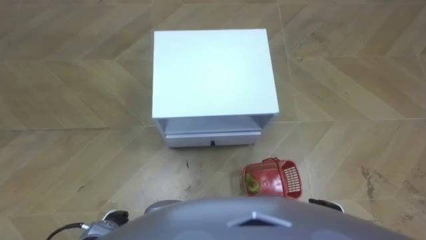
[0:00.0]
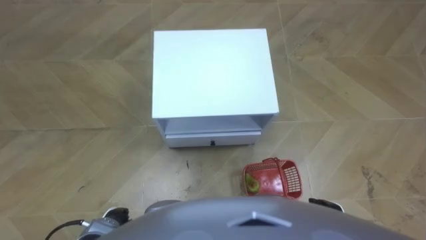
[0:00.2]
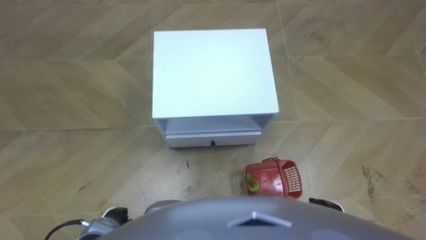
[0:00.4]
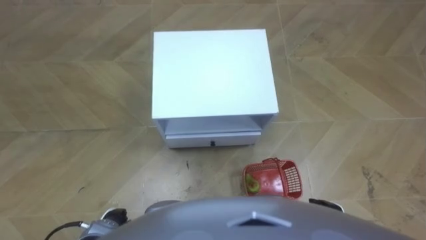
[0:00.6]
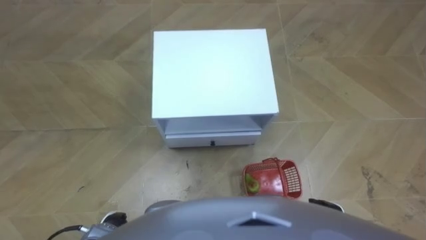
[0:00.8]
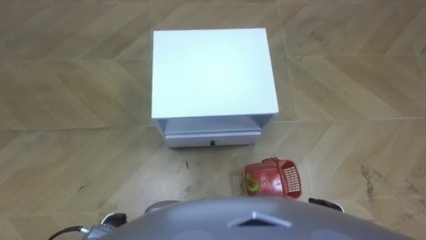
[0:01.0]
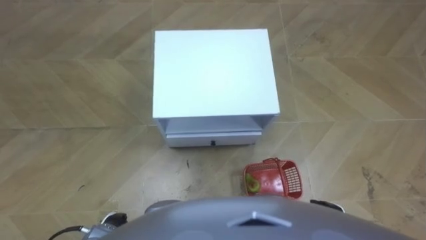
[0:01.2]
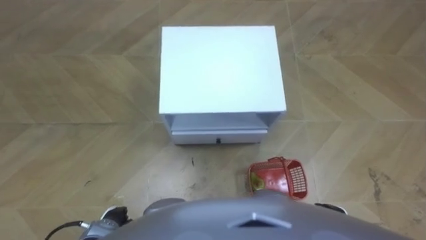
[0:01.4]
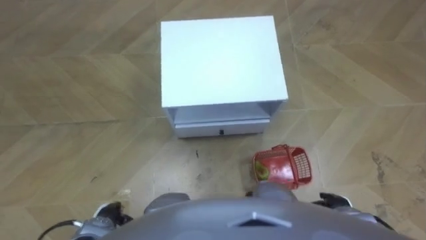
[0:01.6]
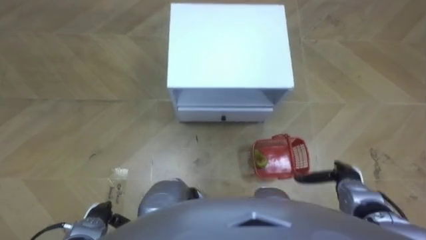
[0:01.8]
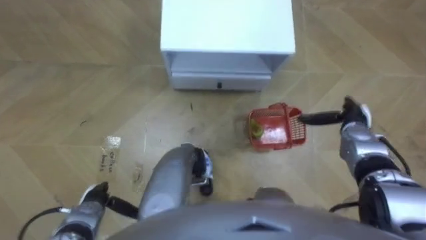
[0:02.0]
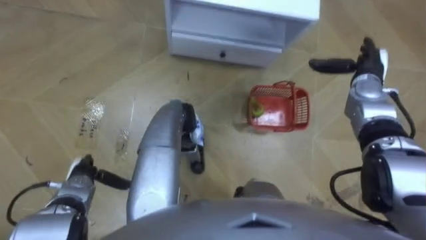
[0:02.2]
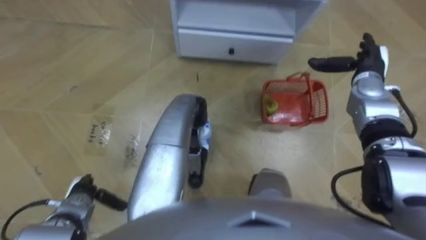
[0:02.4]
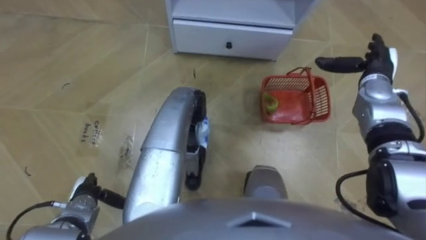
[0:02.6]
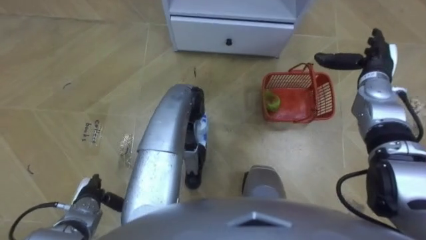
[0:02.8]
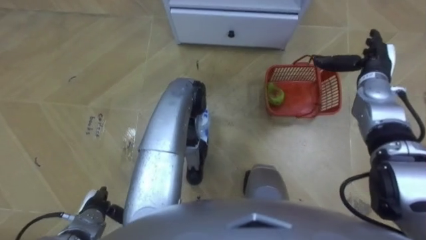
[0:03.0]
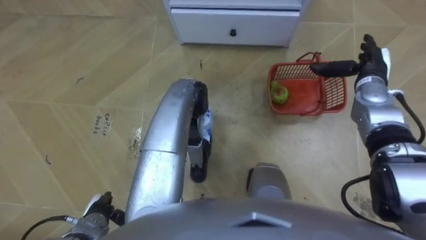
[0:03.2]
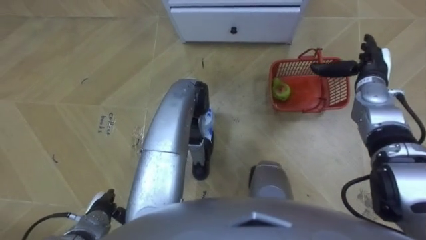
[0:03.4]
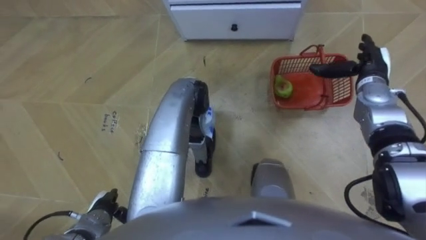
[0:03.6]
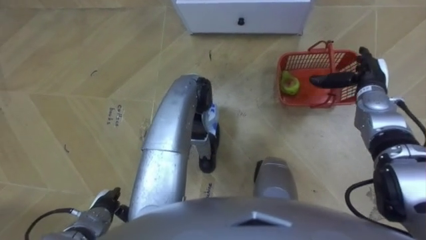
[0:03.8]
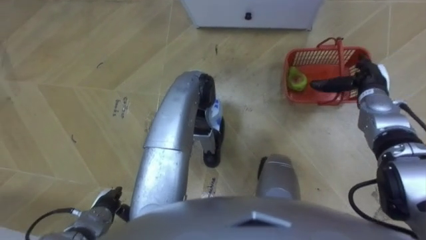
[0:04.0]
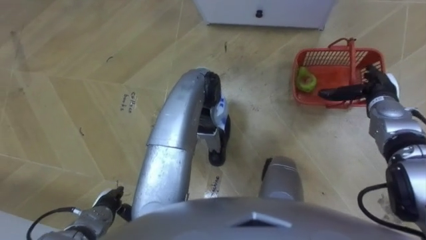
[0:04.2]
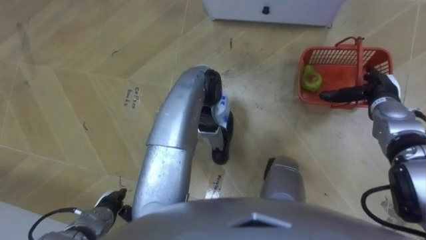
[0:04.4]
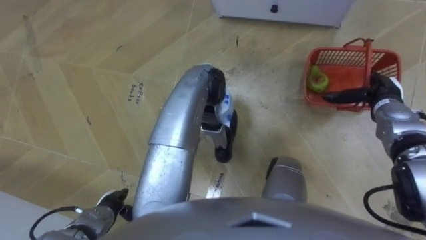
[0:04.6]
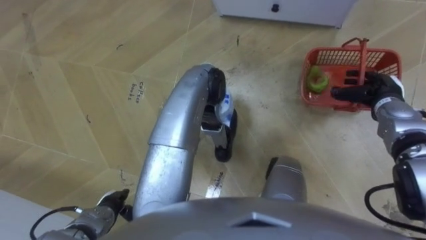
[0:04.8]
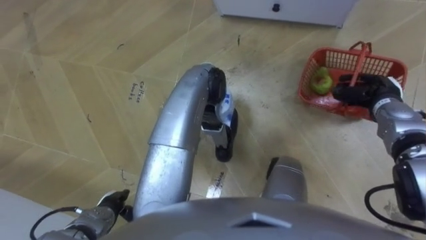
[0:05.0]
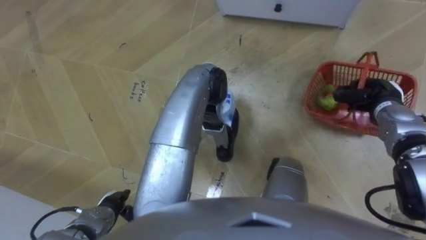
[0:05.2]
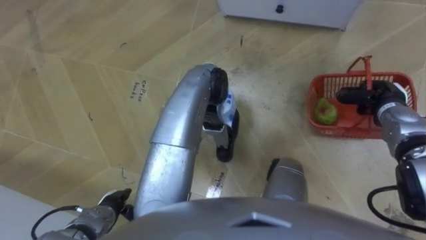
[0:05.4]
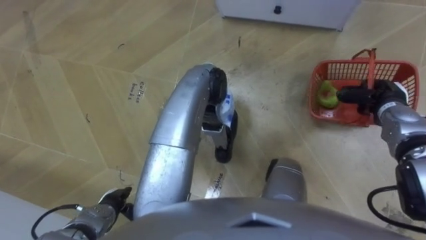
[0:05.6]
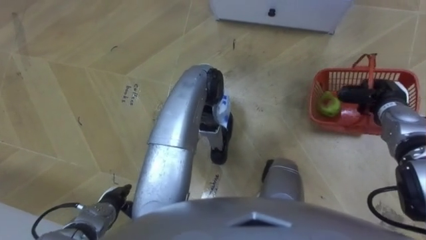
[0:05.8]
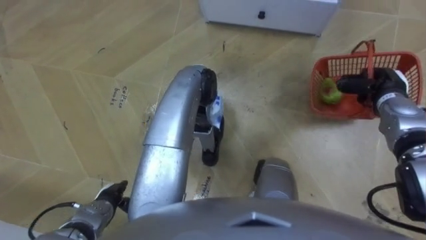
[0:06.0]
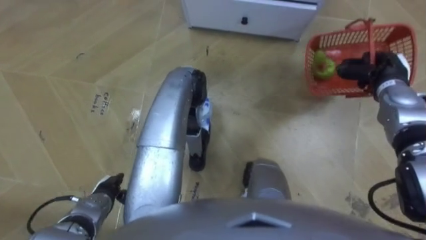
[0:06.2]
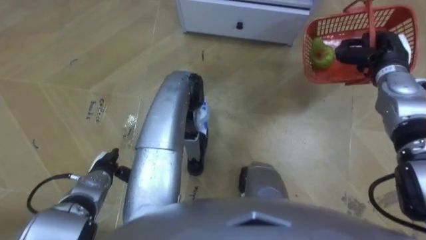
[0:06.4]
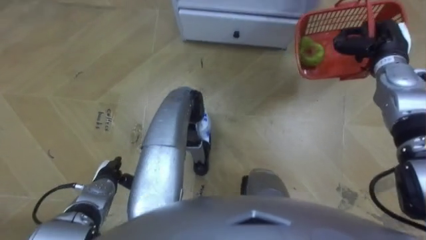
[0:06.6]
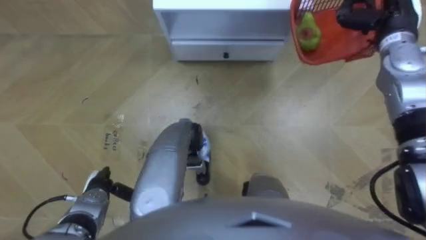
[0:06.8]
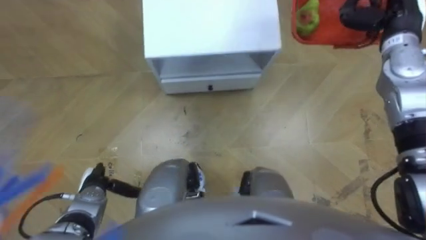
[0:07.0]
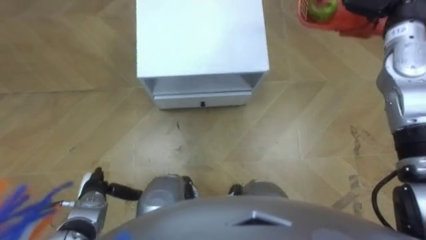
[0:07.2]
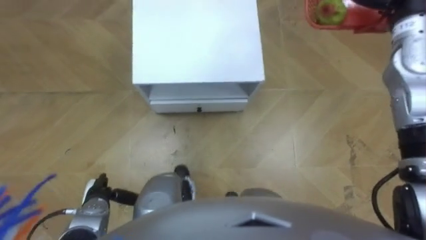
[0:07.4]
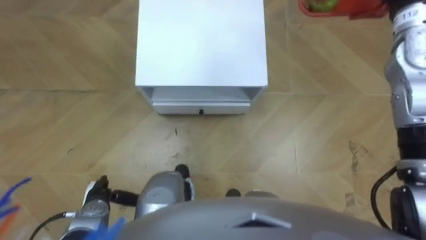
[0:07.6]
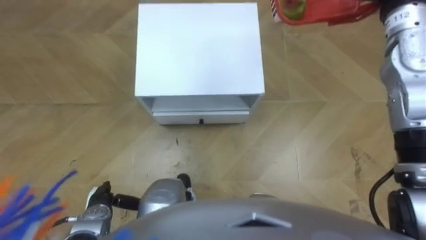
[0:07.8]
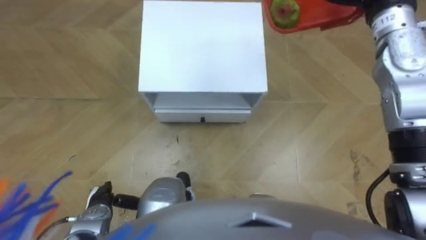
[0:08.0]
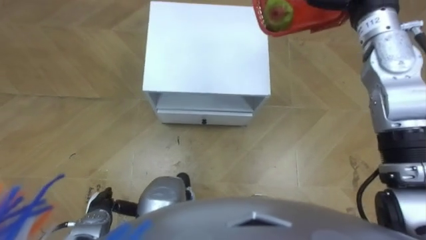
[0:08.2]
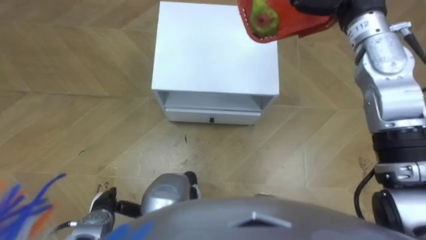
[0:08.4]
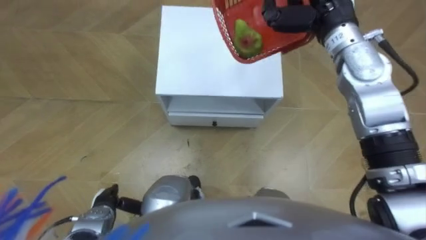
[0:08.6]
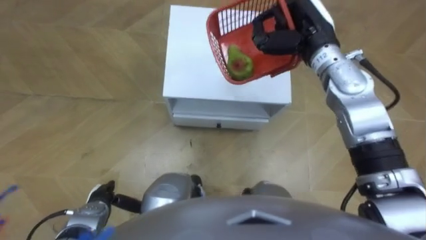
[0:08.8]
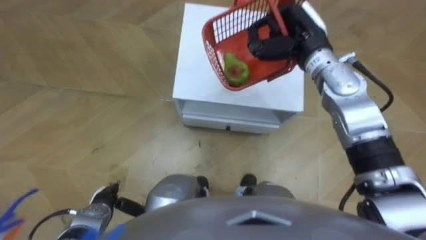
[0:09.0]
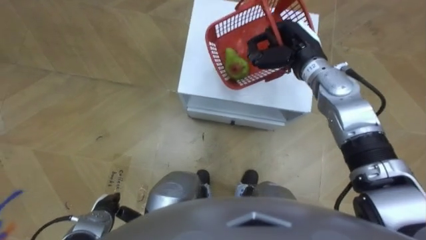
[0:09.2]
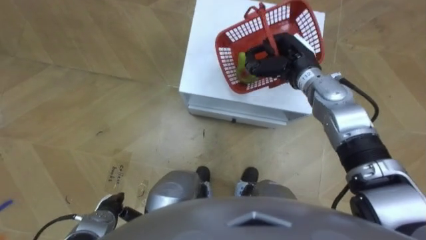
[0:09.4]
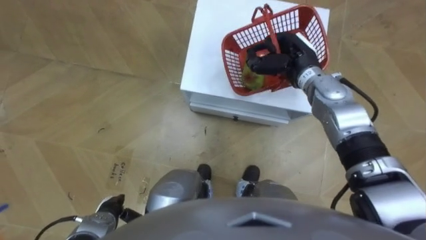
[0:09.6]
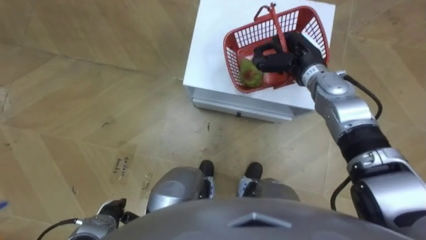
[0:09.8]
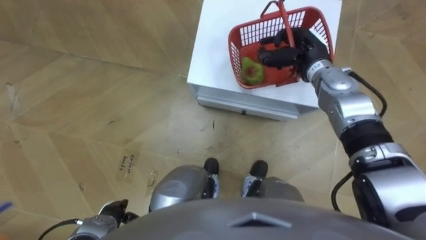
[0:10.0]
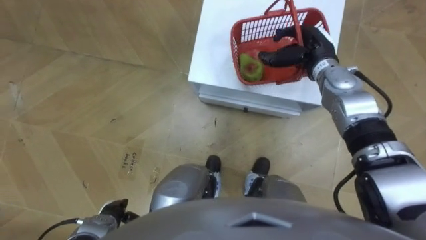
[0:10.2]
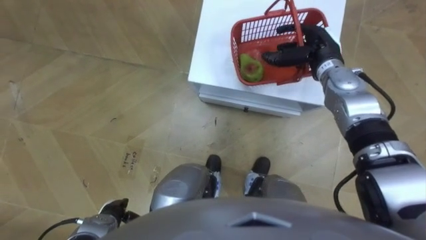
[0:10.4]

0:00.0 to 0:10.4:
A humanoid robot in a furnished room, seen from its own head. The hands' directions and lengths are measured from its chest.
Task of the whole recording: Pick up the fruit basket from the floor and place it on the cabinet.
0:01.4 to 0:03.0: The right hand shifts roughly 35 cm forward and upward.
0:03.0 to 0:04.4: The right hand shifts by some 5 cm.
0:04.4 to 0:06.0: The right hand closes.
0:09.0 to 0:10.4: The right hand is displaced downward by roughly 5 cm, and opens its fingers.

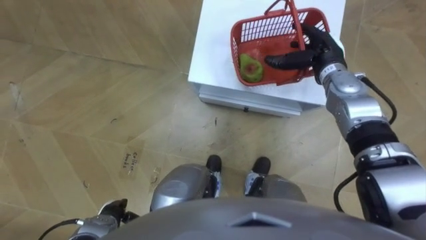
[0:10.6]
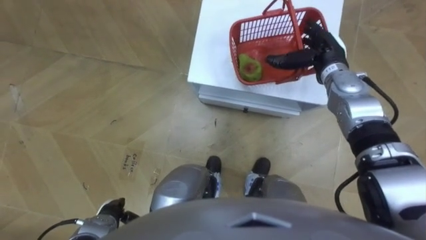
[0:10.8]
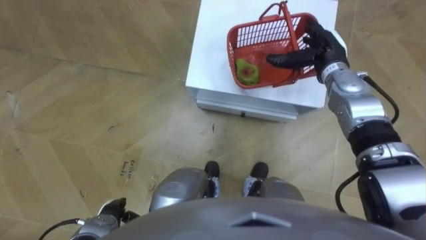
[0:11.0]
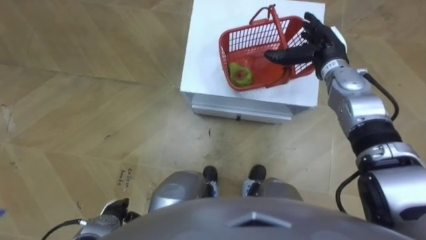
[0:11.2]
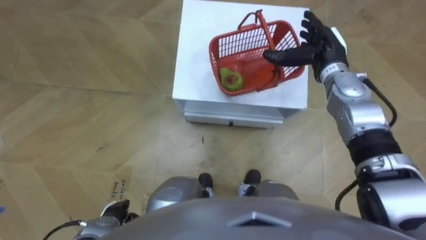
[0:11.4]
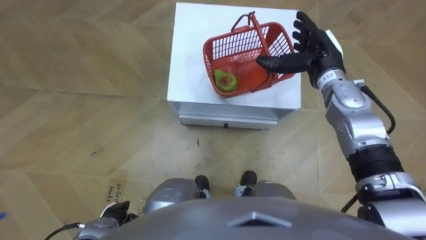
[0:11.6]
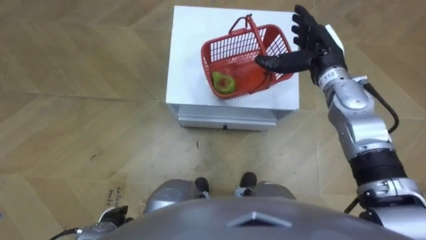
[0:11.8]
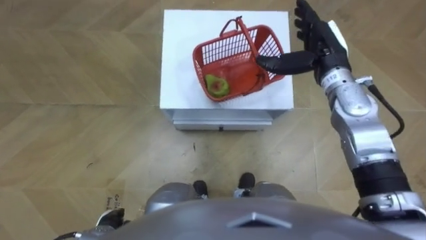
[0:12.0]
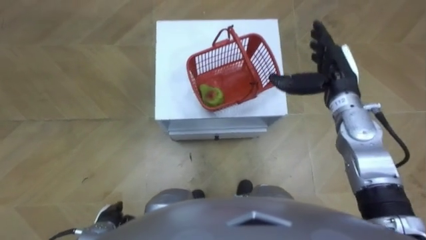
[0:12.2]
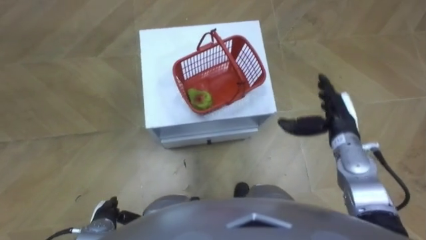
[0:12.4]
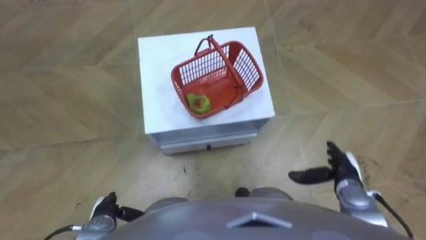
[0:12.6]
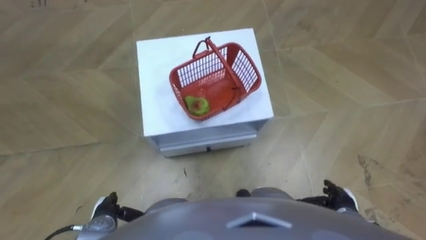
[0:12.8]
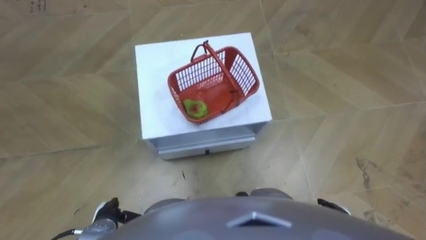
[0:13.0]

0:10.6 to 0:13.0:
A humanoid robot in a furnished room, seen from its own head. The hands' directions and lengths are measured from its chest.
Task of the whole recording: Pick up the fruit basket from the floor and place it on the cabinet.
0:11.8 to 0:13.0: The right hand is displaced backward and downward by approximately 35 cm.

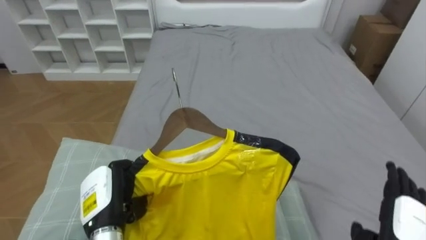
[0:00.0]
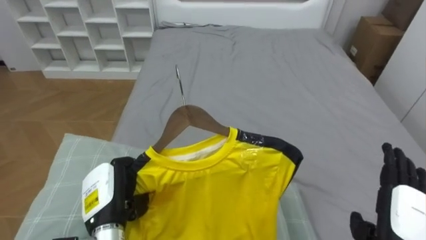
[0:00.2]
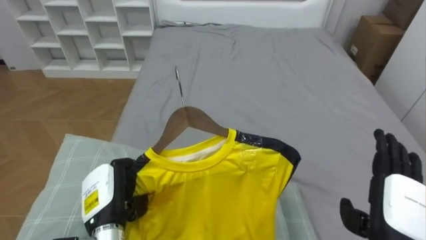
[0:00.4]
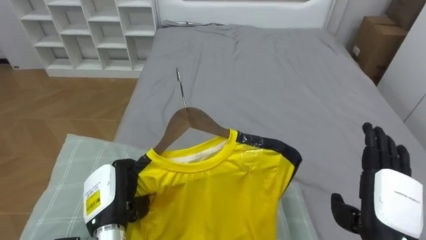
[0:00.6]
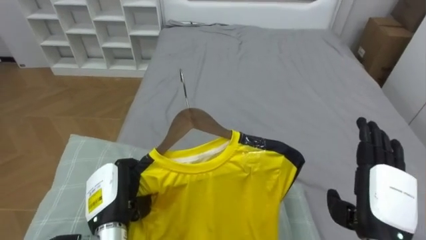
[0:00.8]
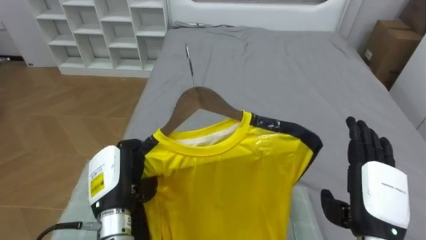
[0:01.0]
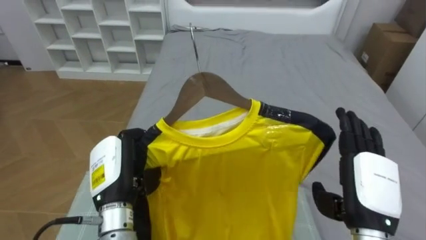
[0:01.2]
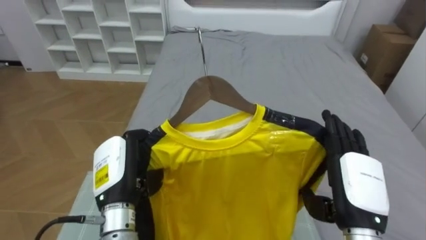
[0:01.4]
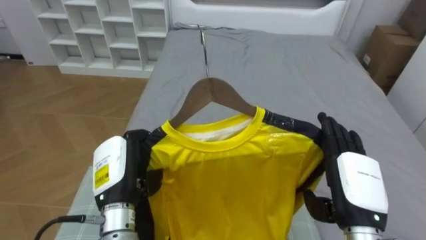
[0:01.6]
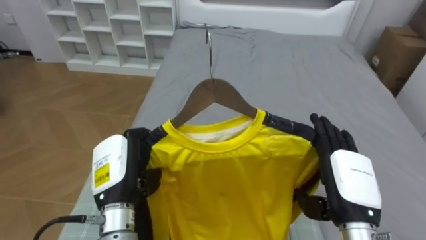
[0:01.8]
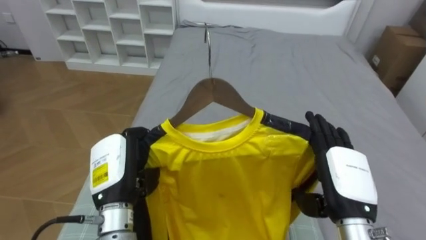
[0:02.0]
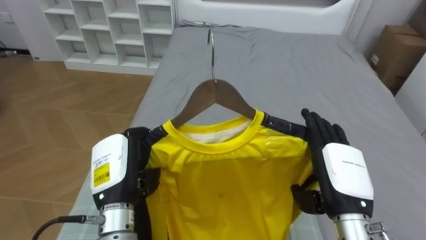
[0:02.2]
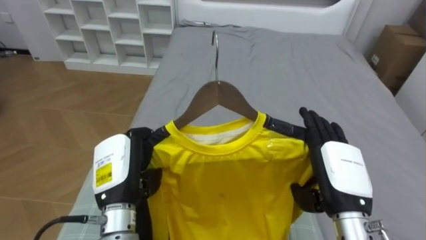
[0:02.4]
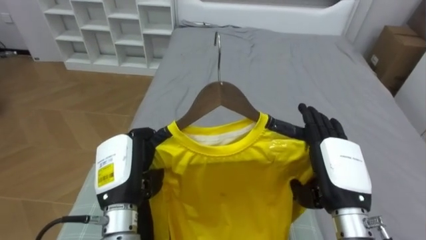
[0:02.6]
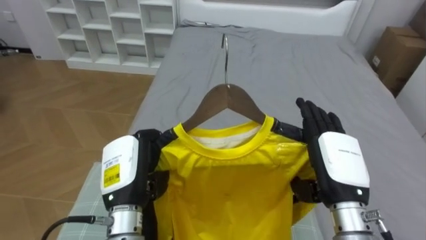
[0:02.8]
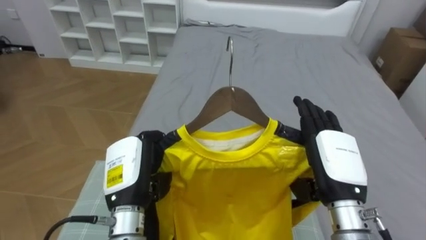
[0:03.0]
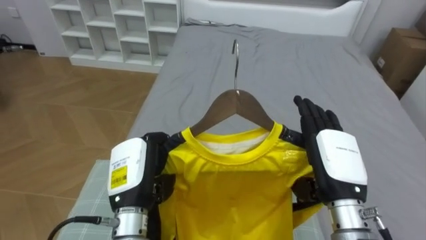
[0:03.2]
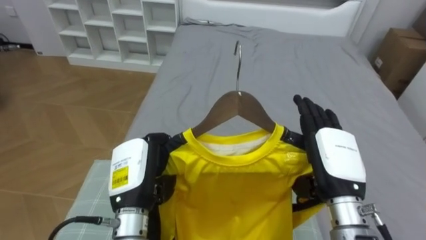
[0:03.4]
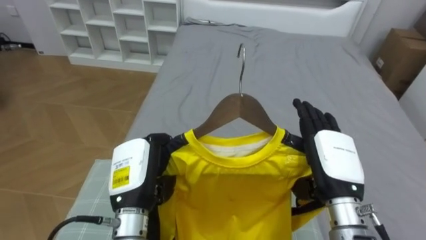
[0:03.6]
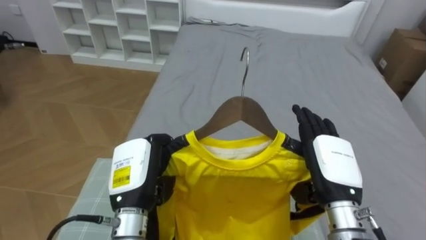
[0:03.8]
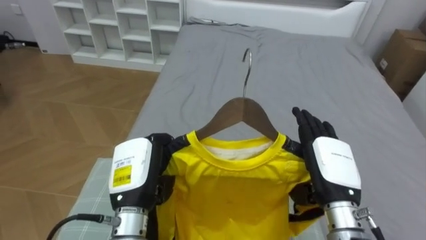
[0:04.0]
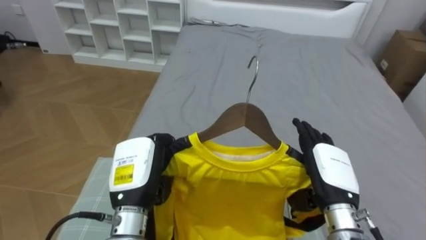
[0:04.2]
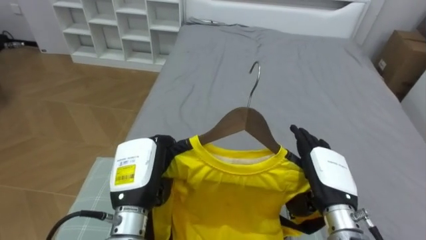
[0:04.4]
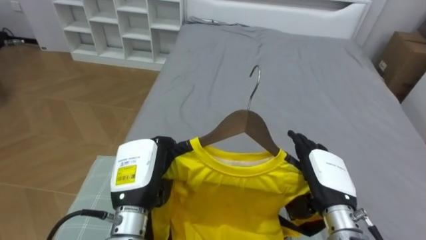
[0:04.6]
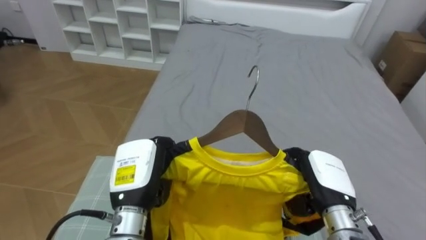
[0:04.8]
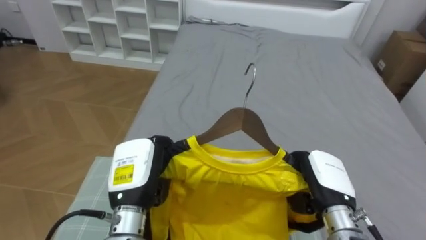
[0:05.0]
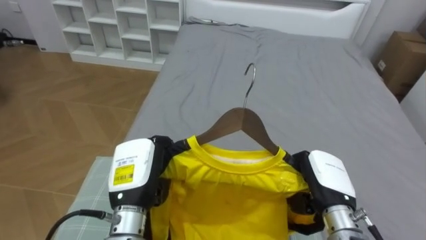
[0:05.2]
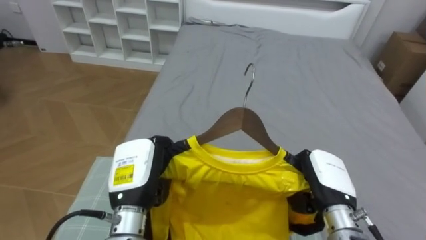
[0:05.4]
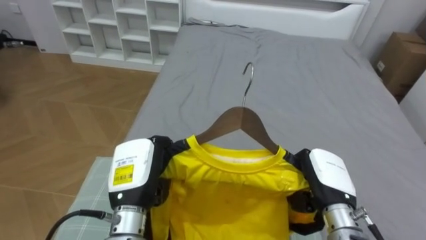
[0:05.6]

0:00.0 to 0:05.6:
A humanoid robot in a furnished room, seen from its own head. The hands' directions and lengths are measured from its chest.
Task of the whole recording: Pick up the yellow shirt on the bed and hang it on the clothes rack on the right.
0:00.0 to 0:01.4: The left hand travels upward by about 5 cm. The right hand moves to the left and upward, approximately 15 cm.
0:04.2 to 0:05.6: The right hand closes its fingers.
